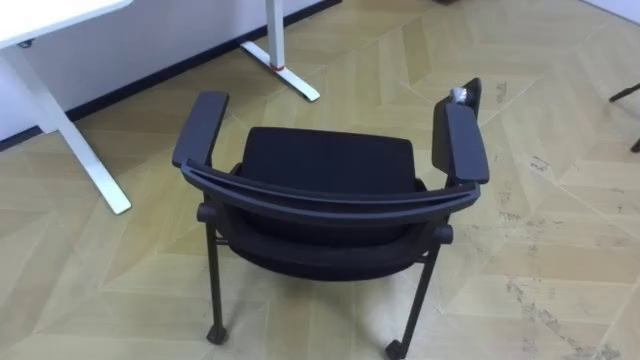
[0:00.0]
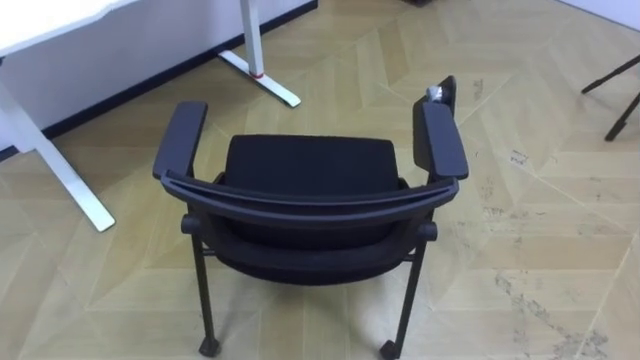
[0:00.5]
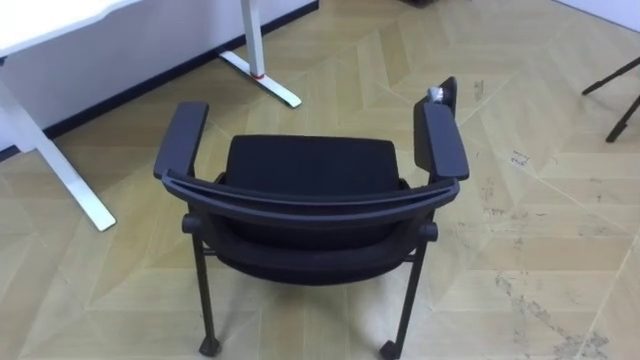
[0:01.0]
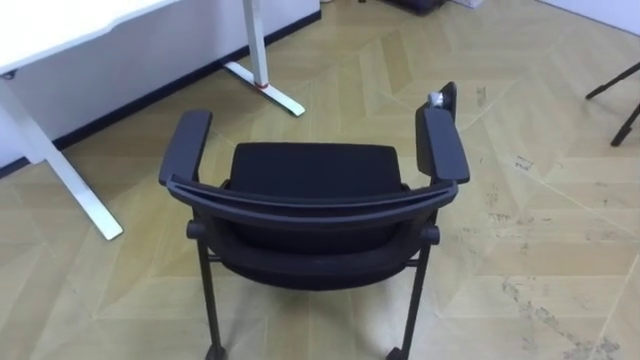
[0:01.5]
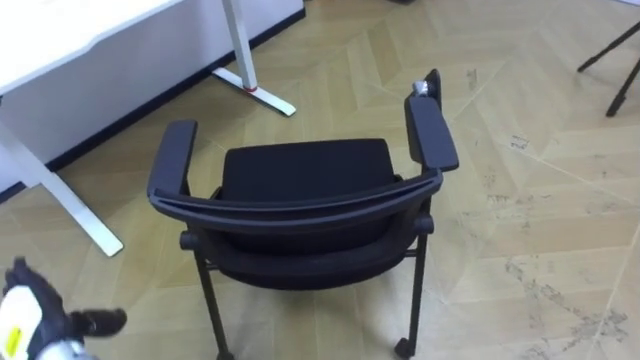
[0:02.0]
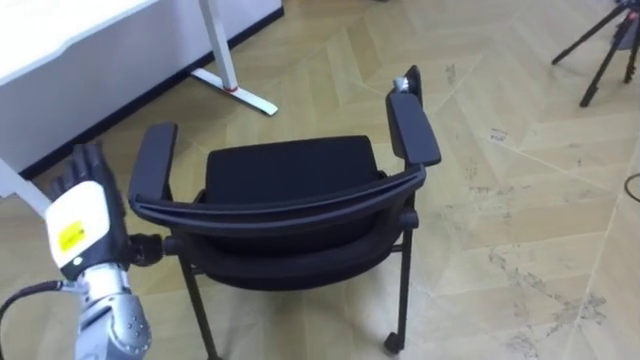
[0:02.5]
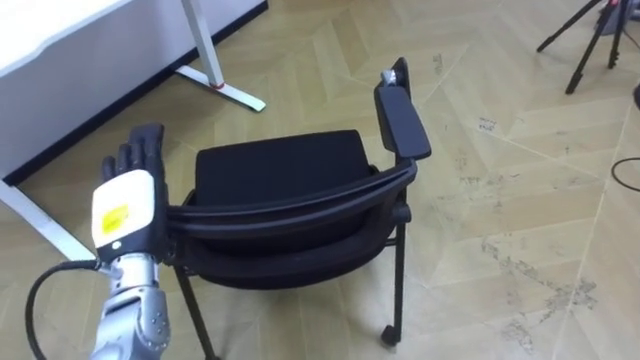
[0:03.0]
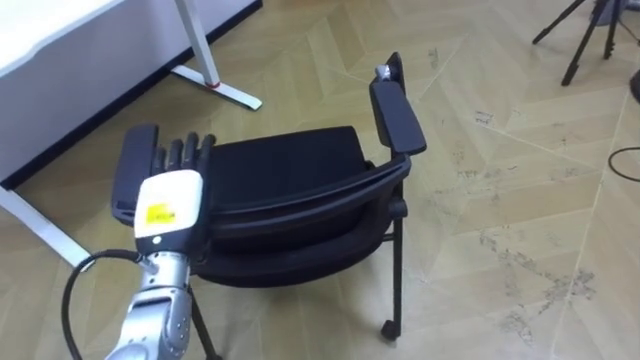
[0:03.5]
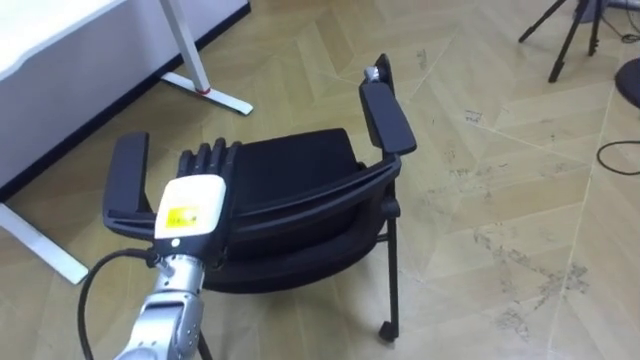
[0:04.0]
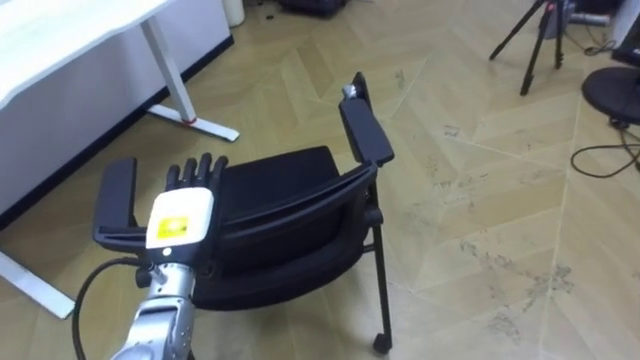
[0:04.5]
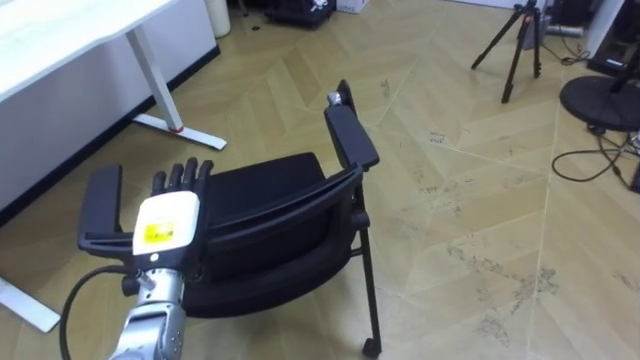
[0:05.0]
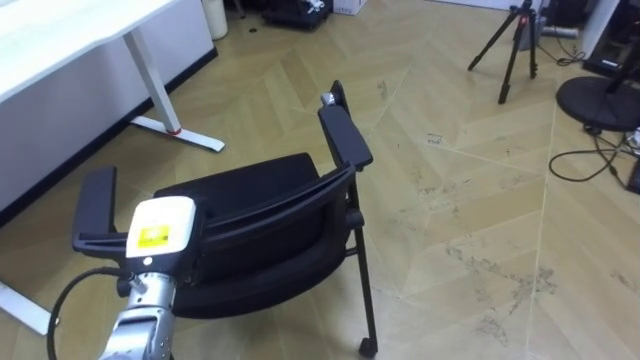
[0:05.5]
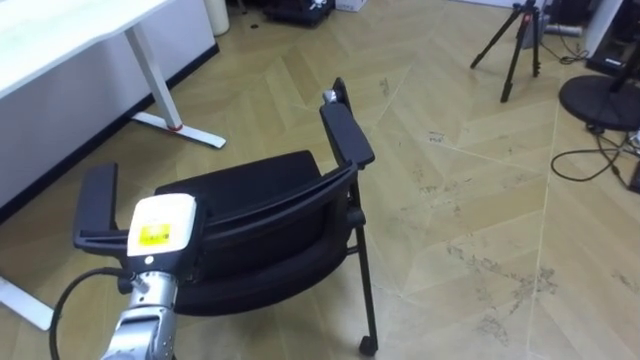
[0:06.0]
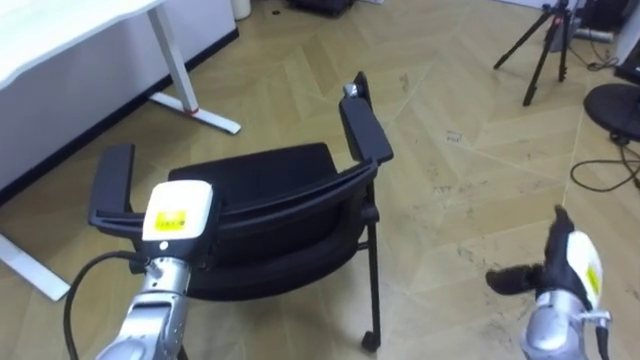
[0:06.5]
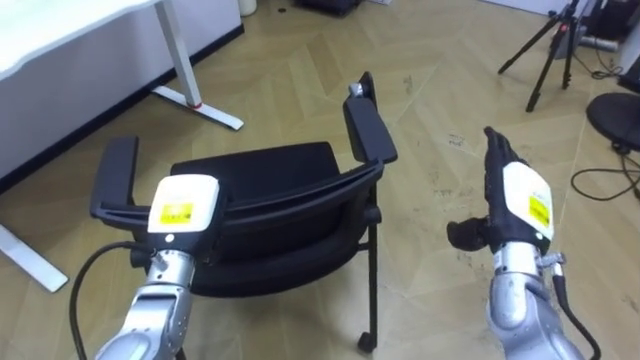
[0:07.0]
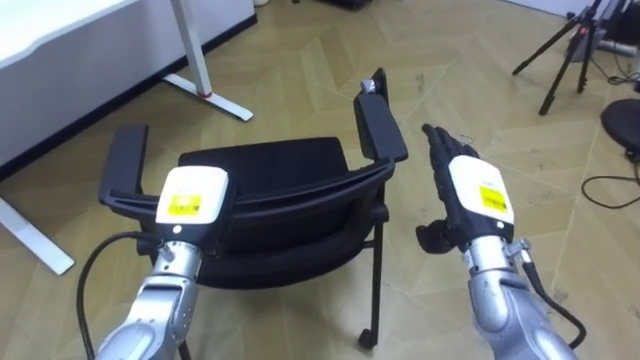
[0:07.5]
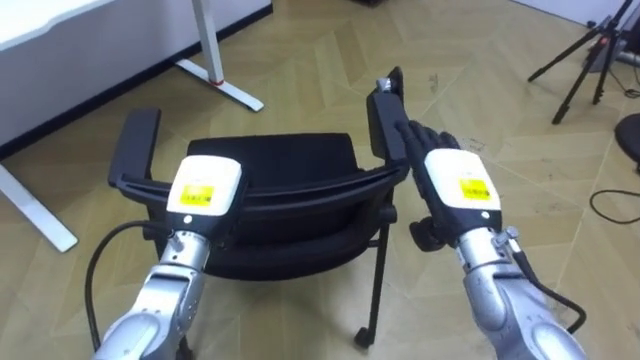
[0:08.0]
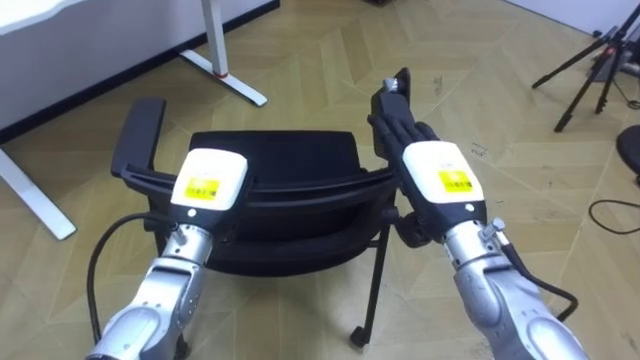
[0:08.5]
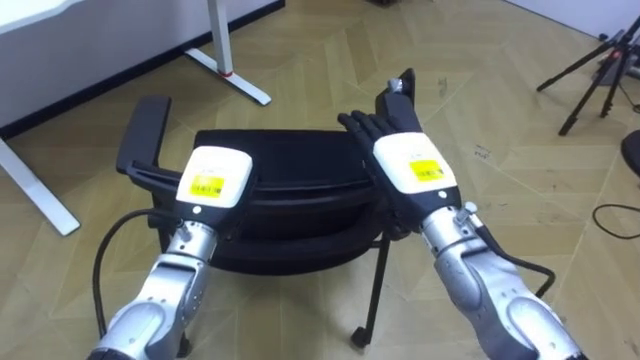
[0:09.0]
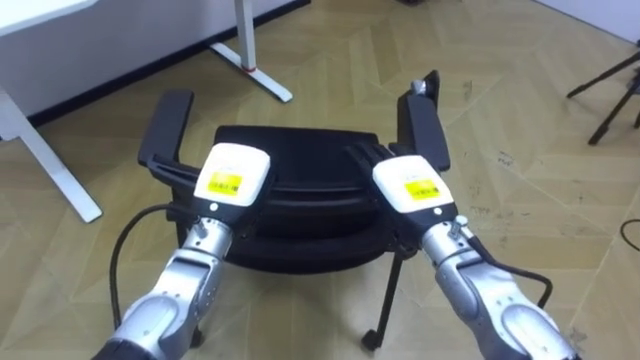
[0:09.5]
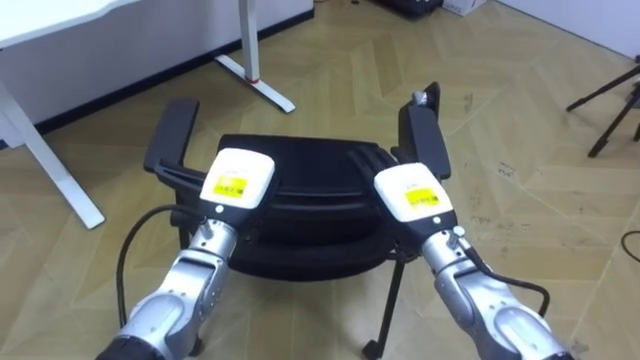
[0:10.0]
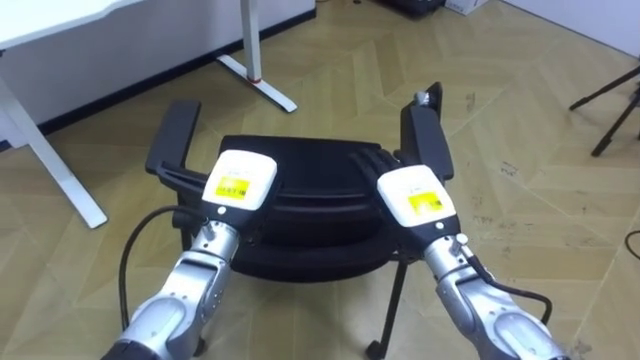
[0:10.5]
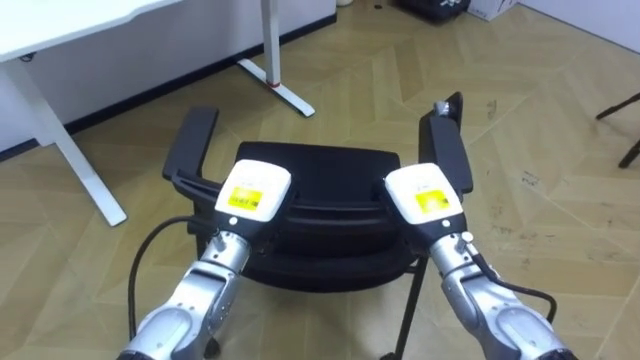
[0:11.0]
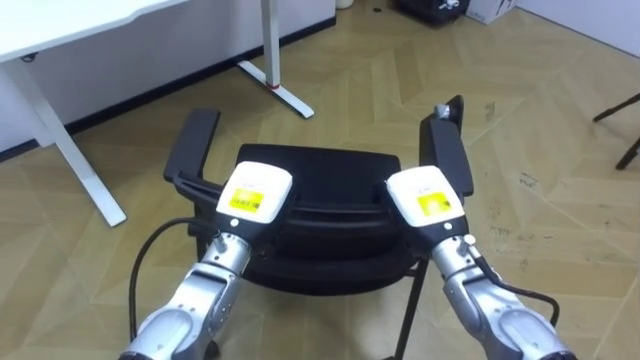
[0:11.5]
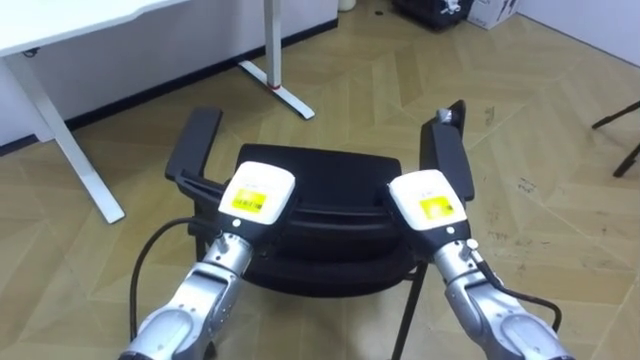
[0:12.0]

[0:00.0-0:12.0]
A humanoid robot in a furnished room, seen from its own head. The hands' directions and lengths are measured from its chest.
Task of the whole recording: Push the chair under the table.
0:02.0 to 0:04.0: The left hand shifts approximately 25 cm to the right, forward and upward.
0:04.0 to 0:06.0: The left hand ends up some 5 cm from where it was, and closes.
0:06.0 to 0:08.0: The left hand is displaced to the right by approximately 5 cm.
0:08.0 to 0:10.0: The right hand ends up roughly 5 cm from where it was.
0:10.0 to 0:12.0: The right hand closes.

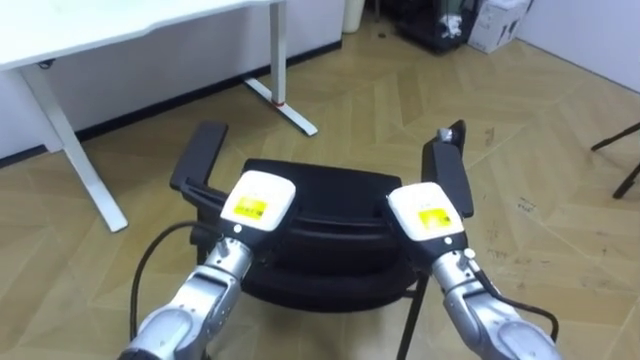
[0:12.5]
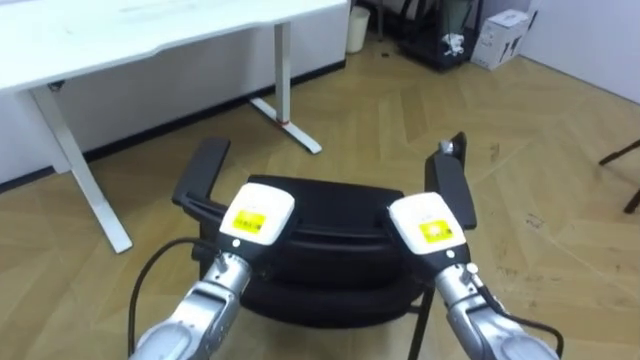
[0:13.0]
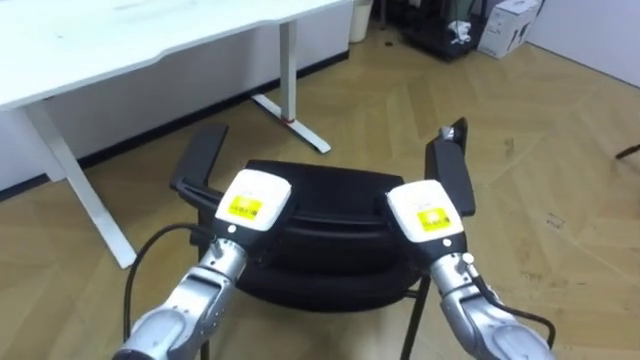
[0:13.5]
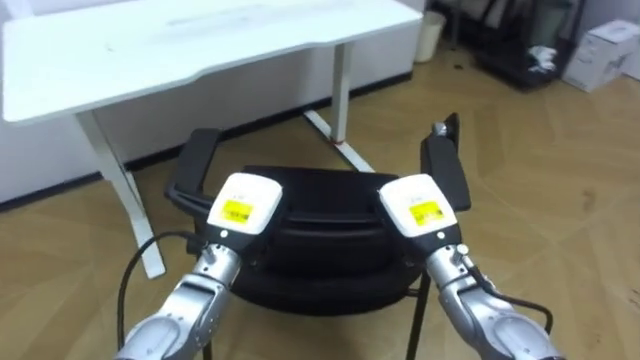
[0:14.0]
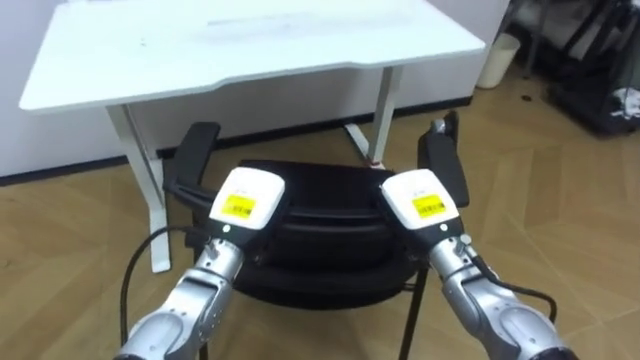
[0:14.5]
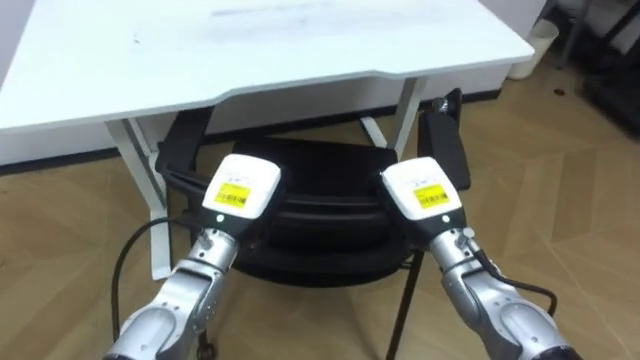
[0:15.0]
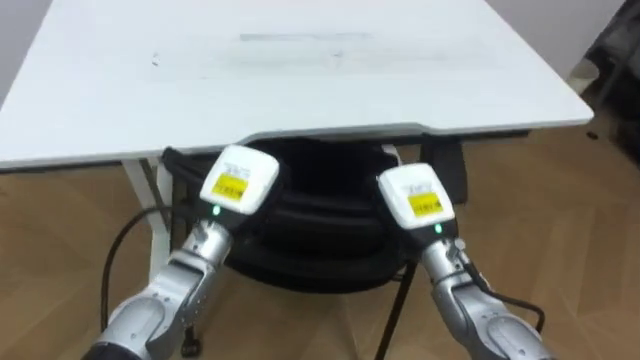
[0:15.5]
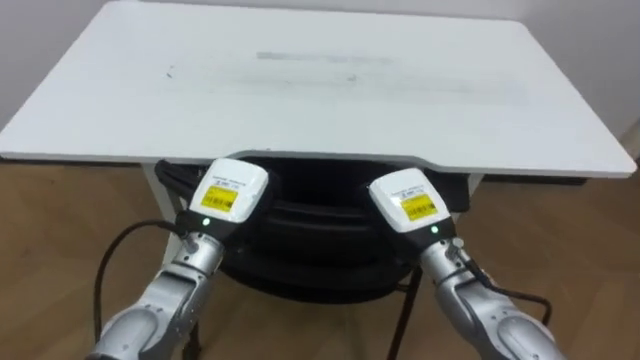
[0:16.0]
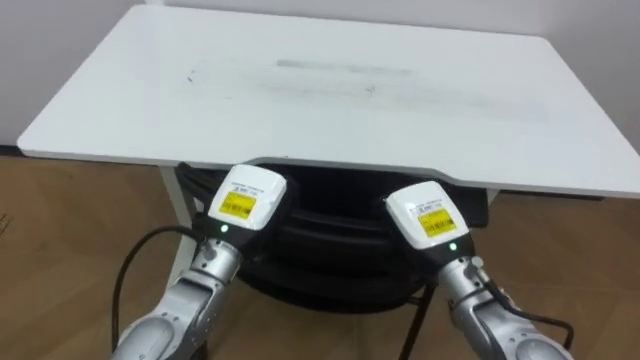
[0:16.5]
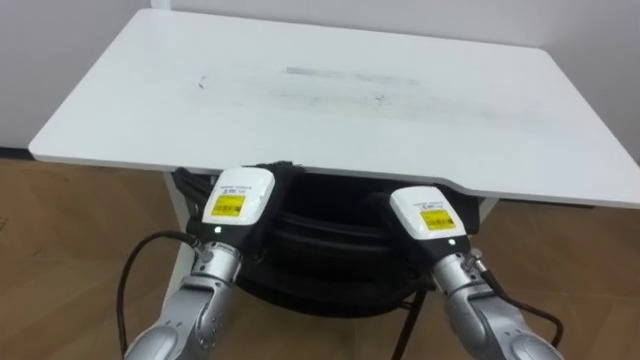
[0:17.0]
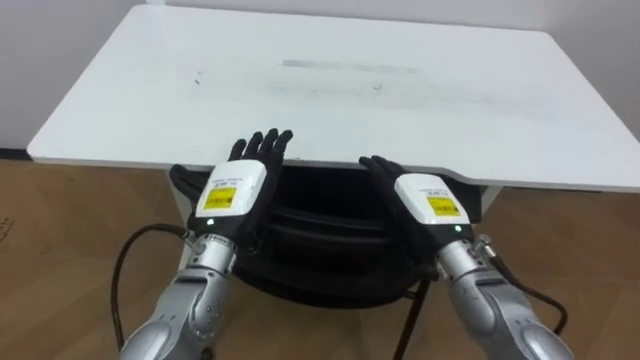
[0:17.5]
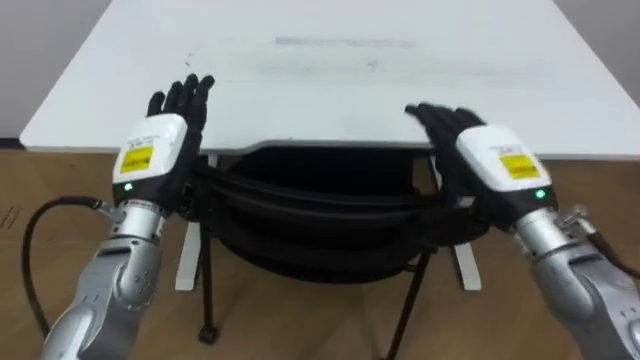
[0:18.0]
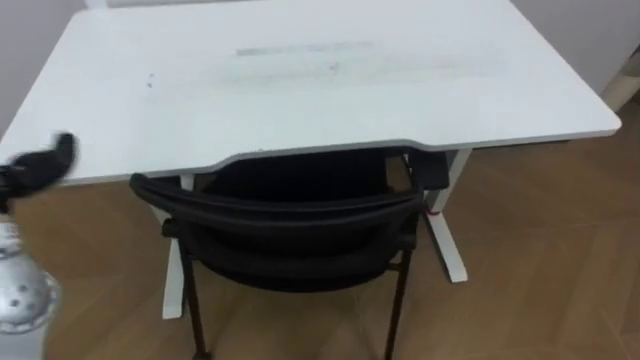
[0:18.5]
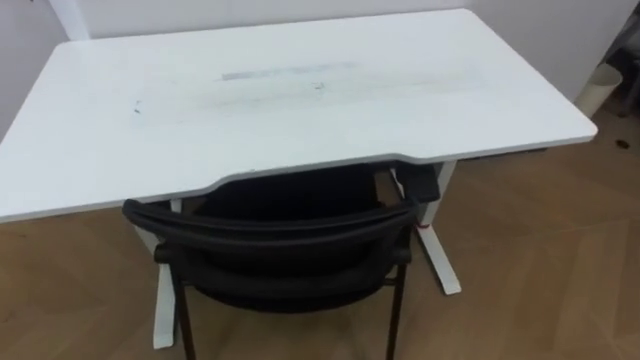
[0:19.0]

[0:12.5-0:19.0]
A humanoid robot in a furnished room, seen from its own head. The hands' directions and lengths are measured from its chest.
Task of the whole recording: Push the chair under the table.
0:12.5 to 0:14.5: The robot rotates approximately 20 degrees to its left.
0:14.5 to 0:17.0: The robot turns to its left by roughly 20 degrees. The right hand opens up, while the left hand opens.

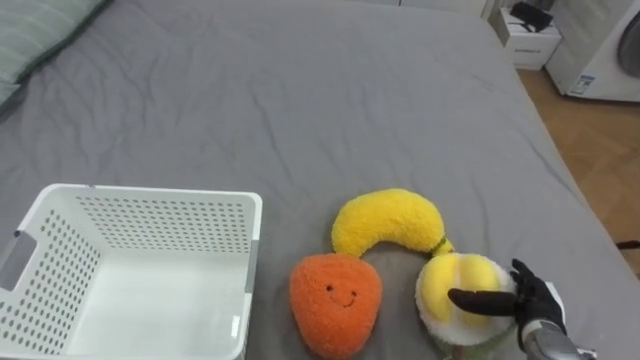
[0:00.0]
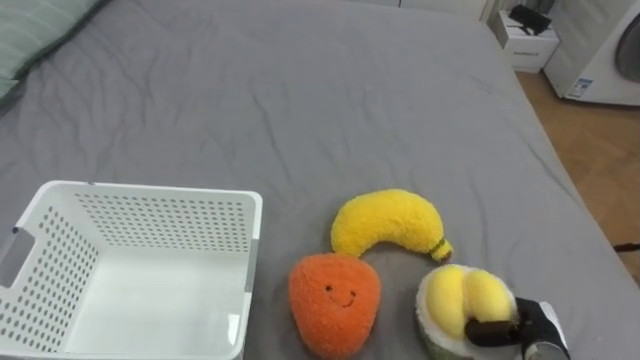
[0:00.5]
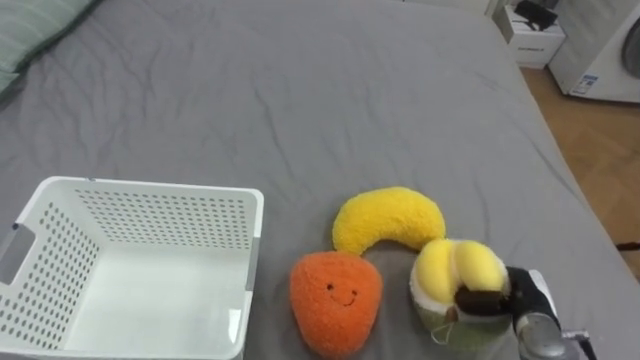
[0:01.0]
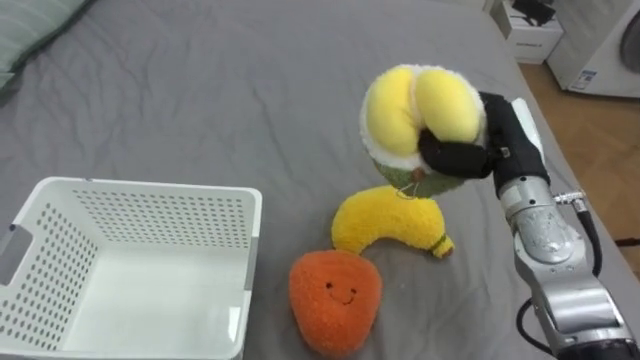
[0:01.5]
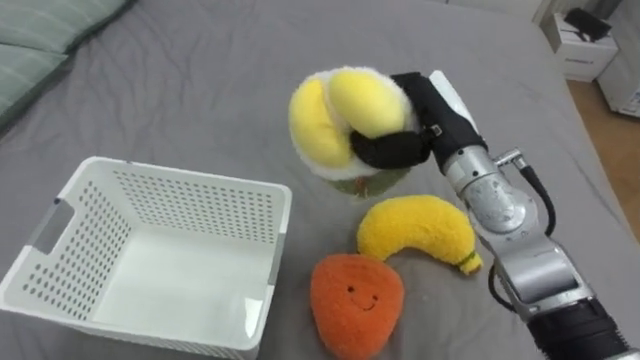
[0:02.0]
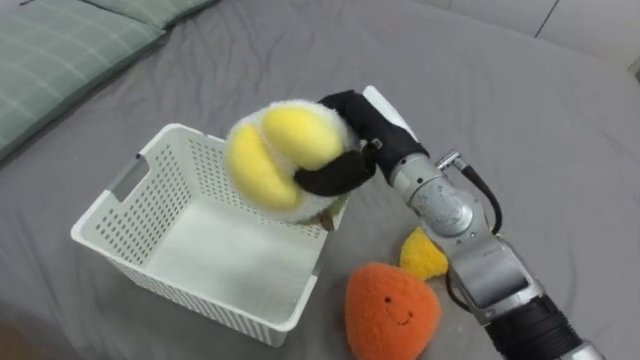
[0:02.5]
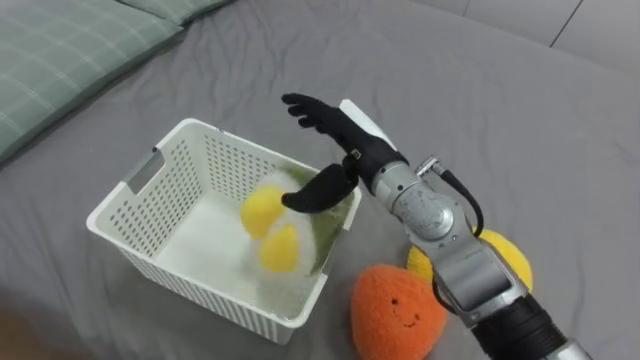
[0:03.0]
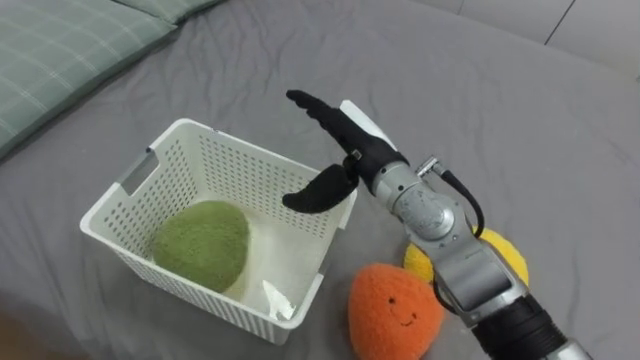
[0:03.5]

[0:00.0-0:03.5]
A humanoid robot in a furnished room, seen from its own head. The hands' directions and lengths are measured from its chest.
Task of the whole recording: Put the toys on the bed into the basket on the left.
0:00.0 to 0:02.0: The right hand goes some 30 cm upward, to the left and forward, and closes.
0:02.0 to 0:03.5: The right hand heads to the left, covering some 10 cm, and opens.
